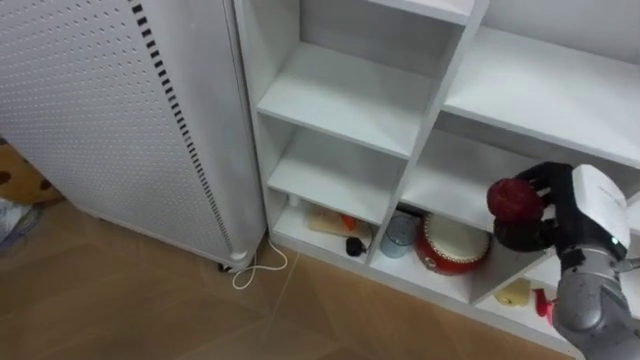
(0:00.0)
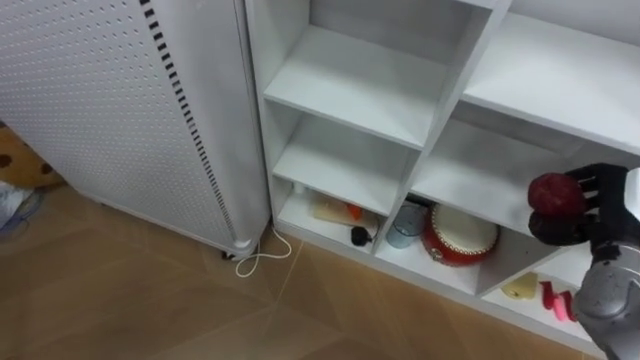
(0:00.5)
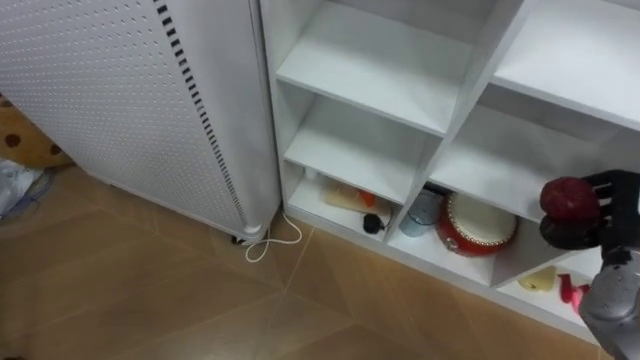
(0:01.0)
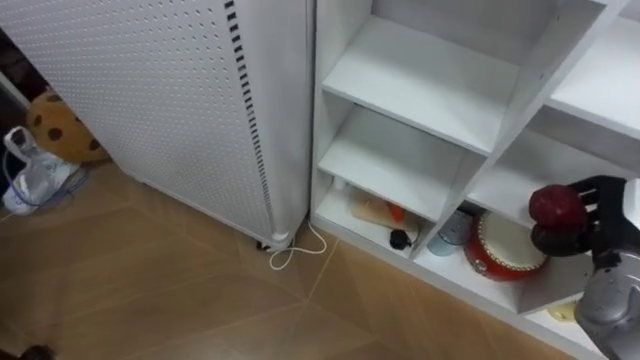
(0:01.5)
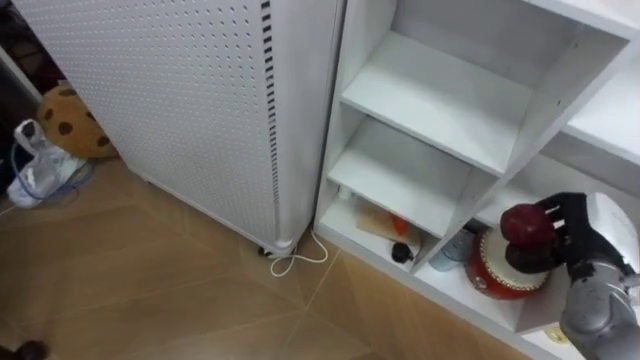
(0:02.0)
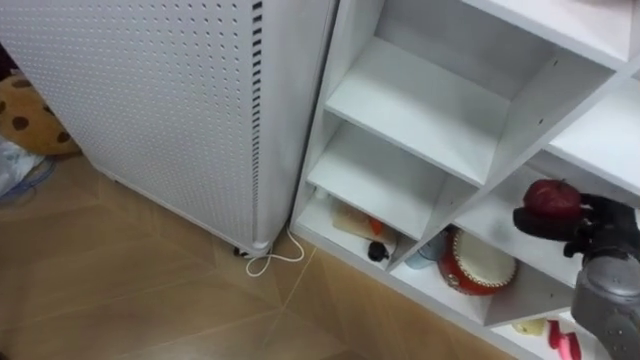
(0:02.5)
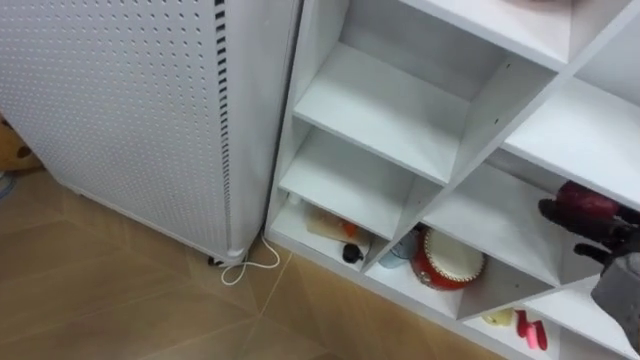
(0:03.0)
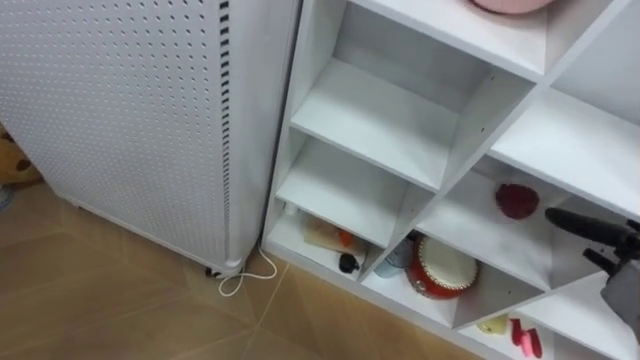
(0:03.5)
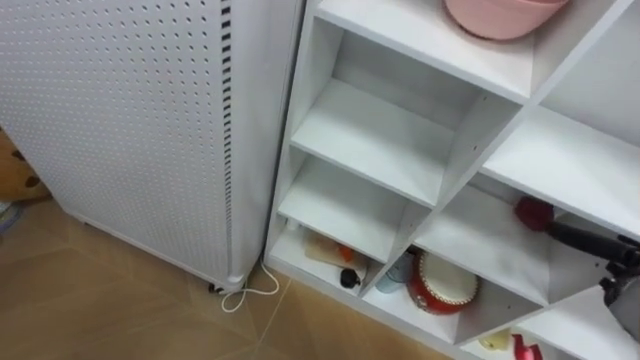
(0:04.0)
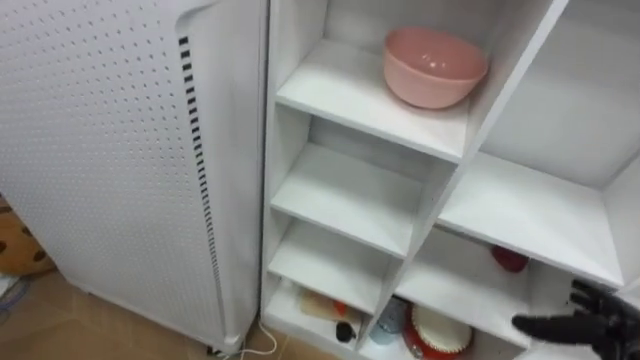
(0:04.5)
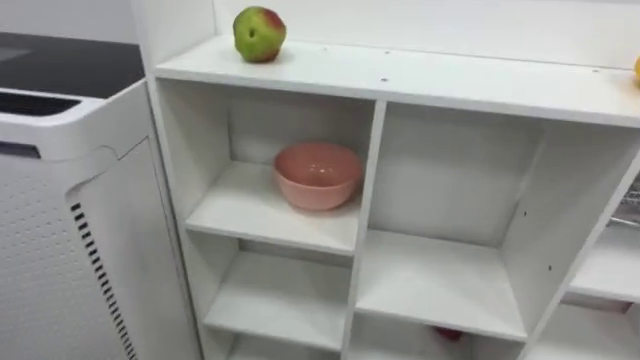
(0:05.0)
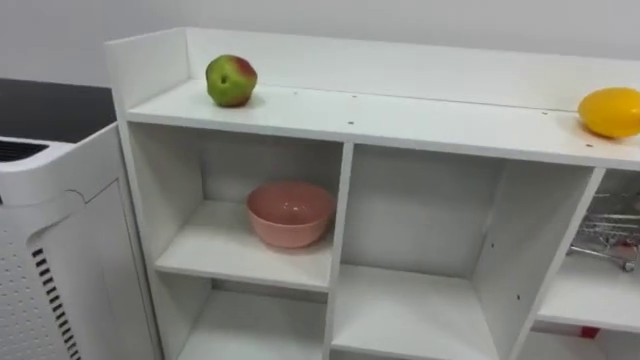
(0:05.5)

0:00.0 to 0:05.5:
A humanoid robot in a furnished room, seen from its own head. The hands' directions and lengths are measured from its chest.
Task of the whole recording: Put the apple in the cell in the second column from the left and the second row from the top.
0:02.0 to 0:03.5: The right hand shifts approximately 5 cm to the right, and opens up.

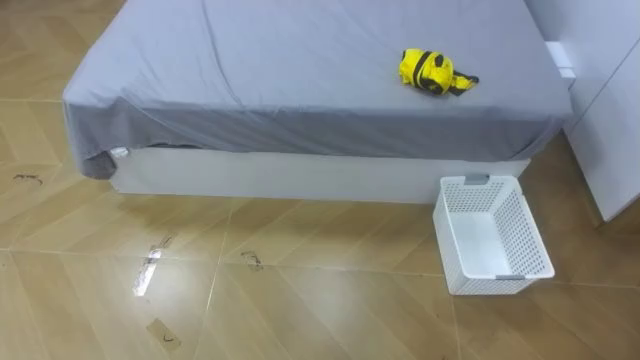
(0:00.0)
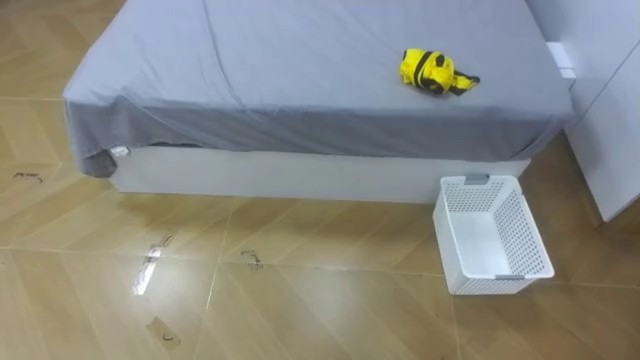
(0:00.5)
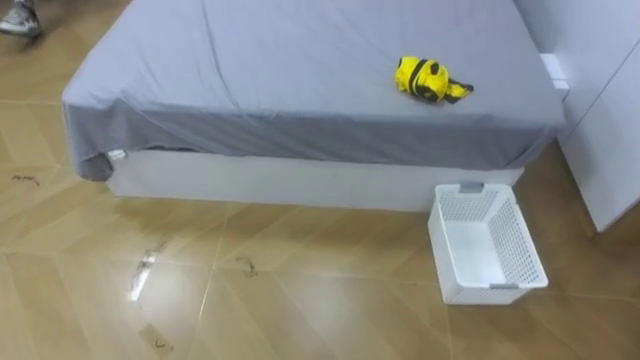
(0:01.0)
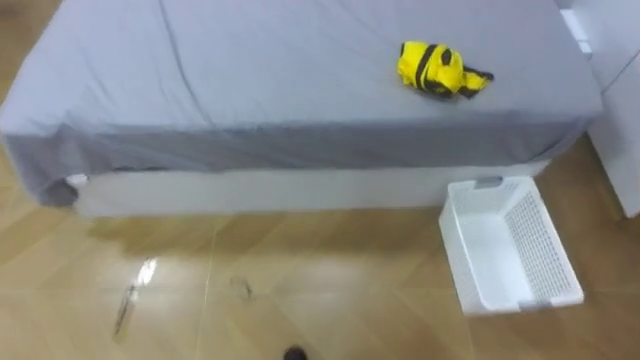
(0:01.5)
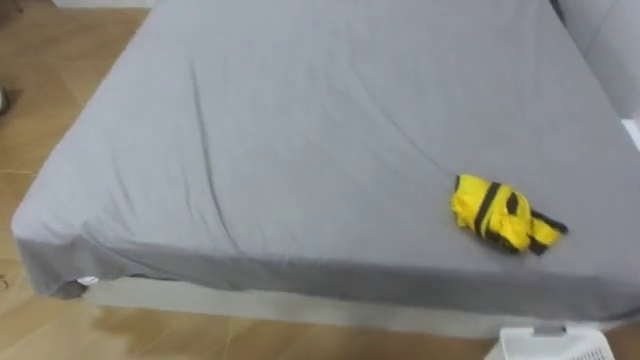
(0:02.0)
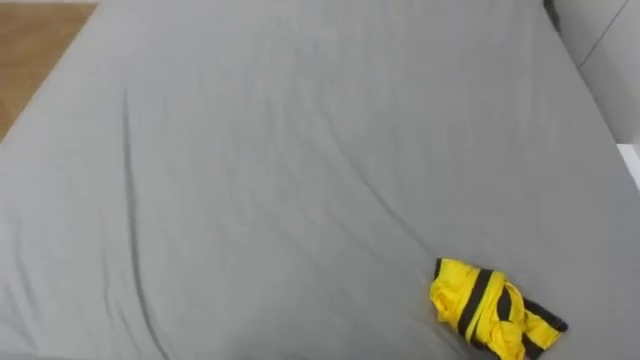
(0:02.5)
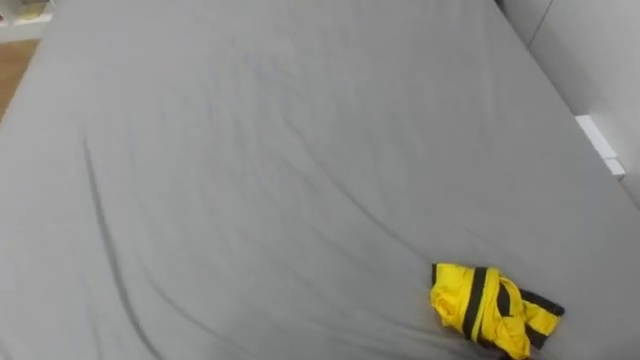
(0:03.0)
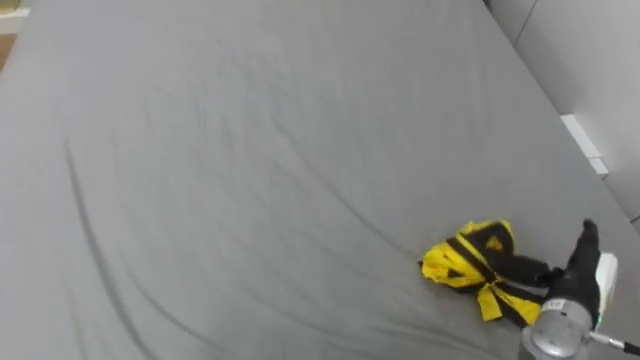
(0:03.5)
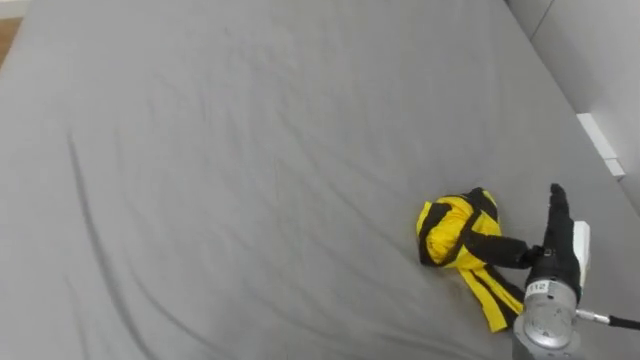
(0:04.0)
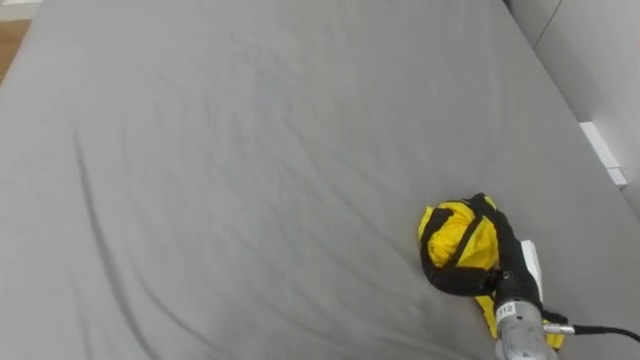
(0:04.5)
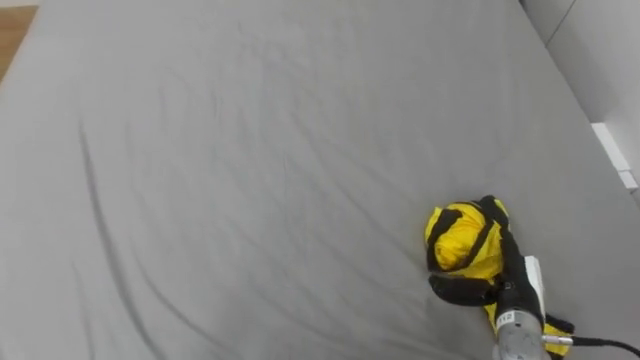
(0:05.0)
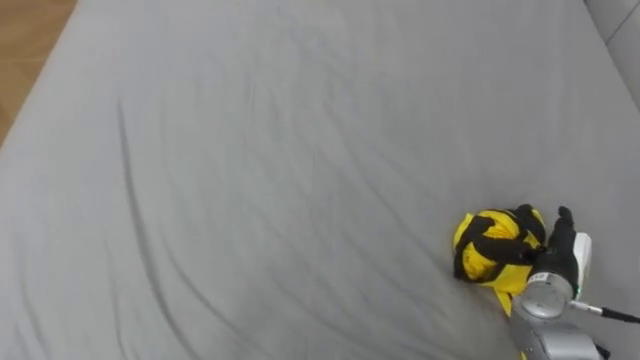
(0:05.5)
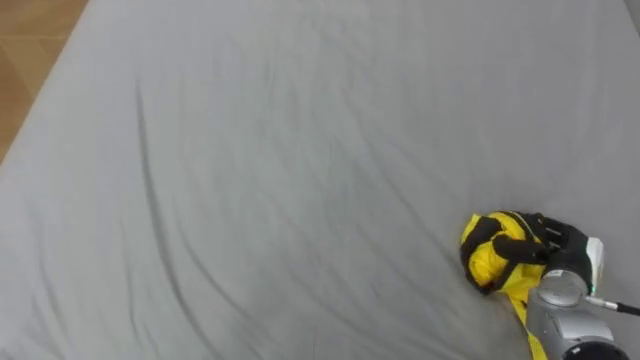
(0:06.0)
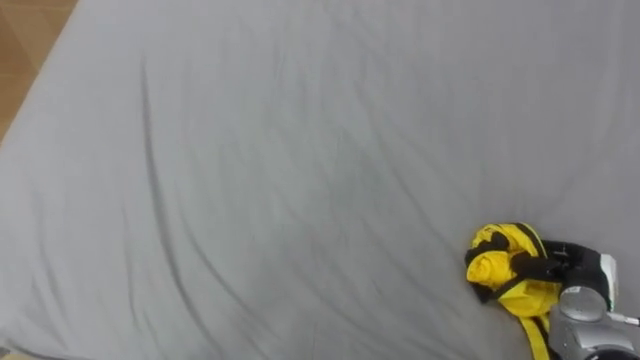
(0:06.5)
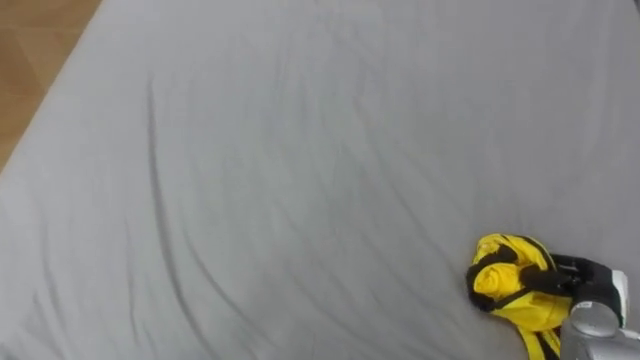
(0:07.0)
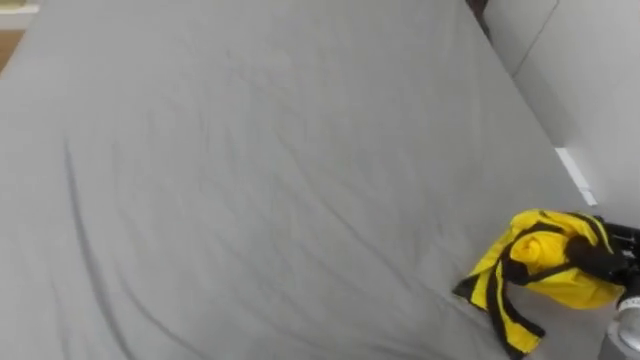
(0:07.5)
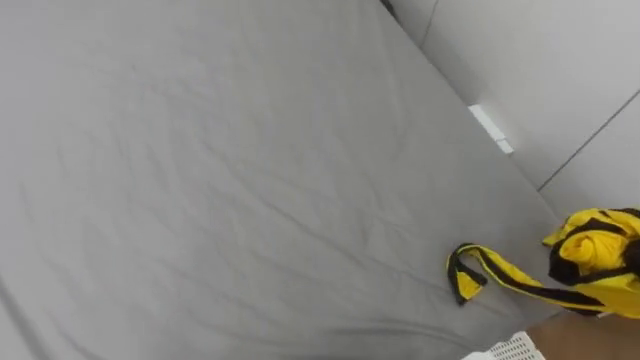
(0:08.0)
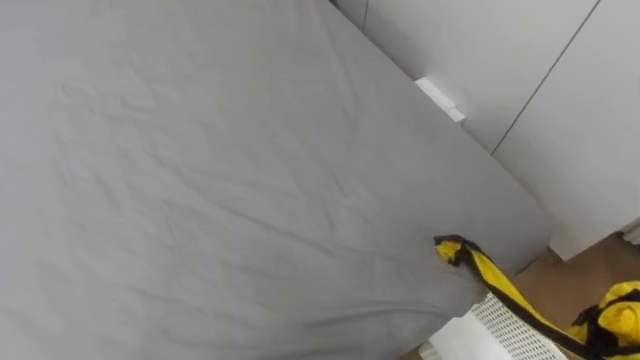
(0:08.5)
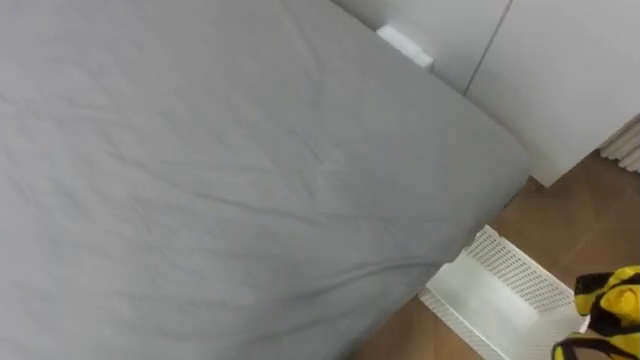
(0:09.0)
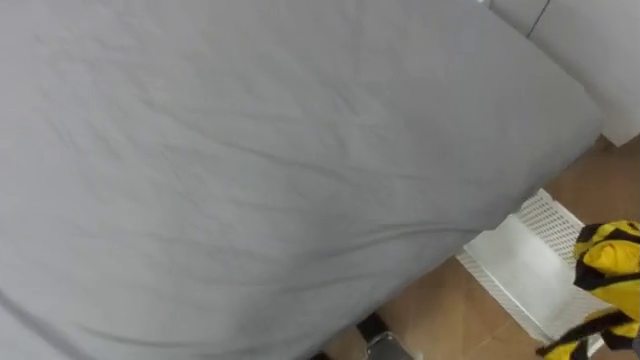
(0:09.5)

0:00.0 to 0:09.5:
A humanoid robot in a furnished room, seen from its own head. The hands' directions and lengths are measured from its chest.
Task of the whole recording: Pick up the yellow clothes on the bed and place them into the white basket on the right.
0:05.5 to 0:07.5: The right hand shifts roughly 10 cm to the right, and closes its fingers.

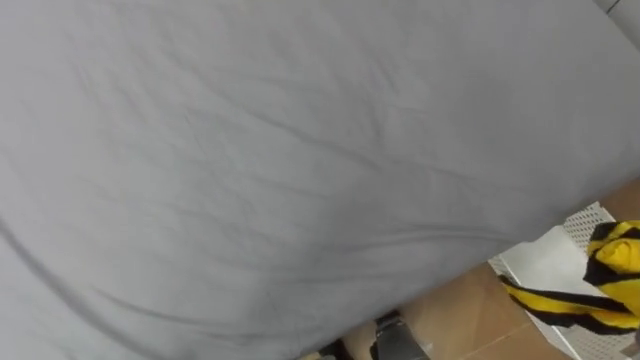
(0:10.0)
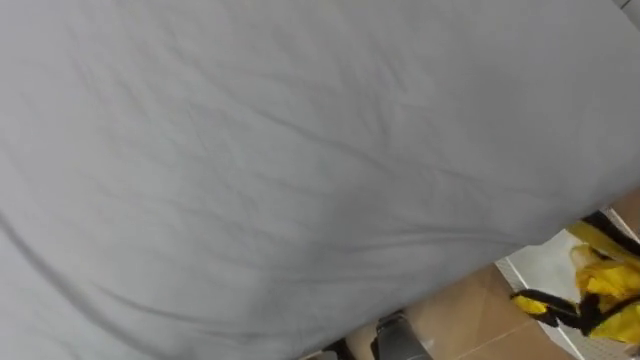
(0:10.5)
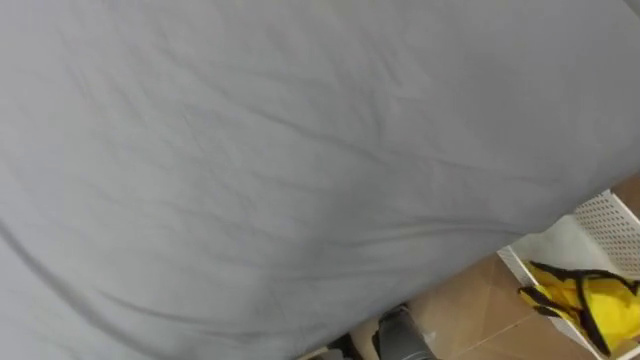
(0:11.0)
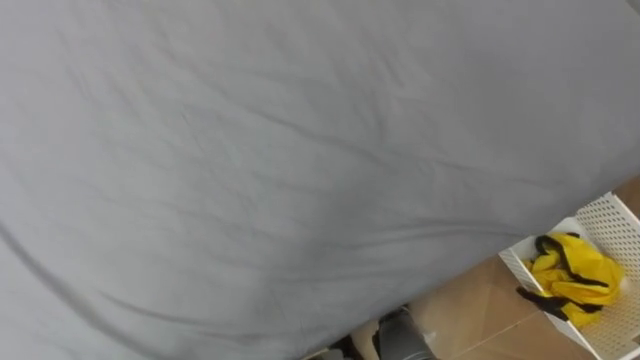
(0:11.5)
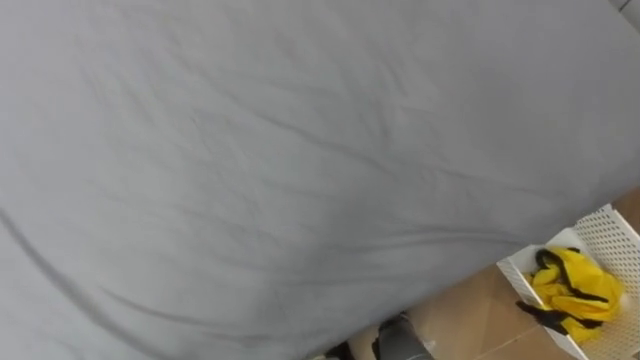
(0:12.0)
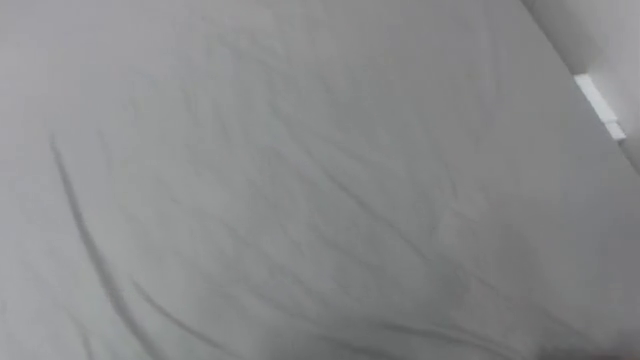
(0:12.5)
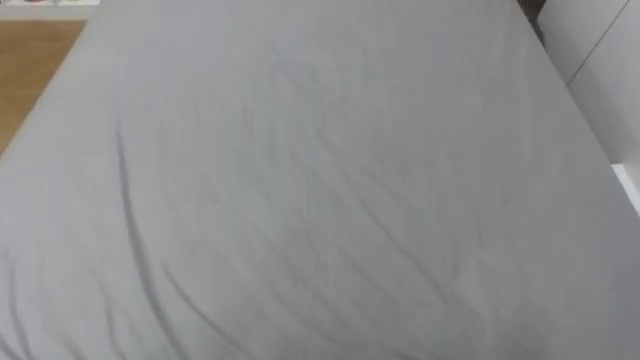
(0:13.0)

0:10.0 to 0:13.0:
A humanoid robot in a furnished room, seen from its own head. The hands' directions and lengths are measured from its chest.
Task of the whole recording: Pick up the yellow clothes on the bed and place them into the white basket on the right.
0:11.5 to 0:13.0: The robot rotates some 20 degrees to its left.

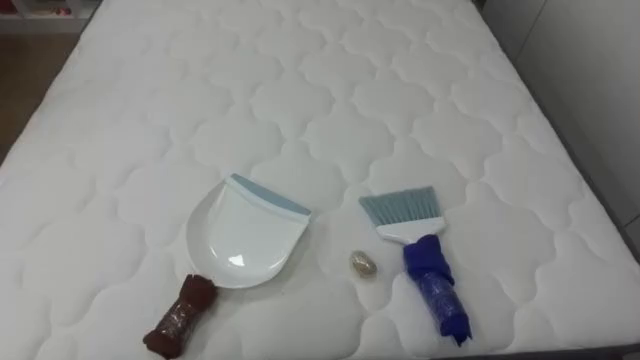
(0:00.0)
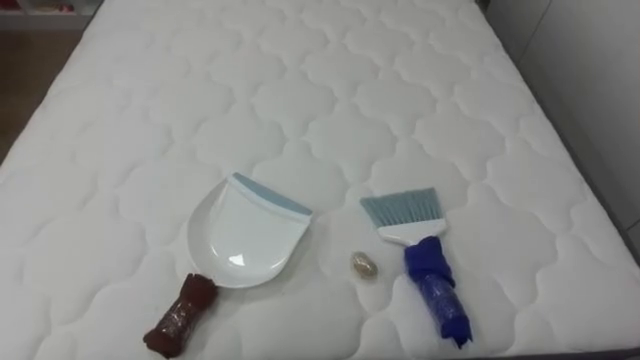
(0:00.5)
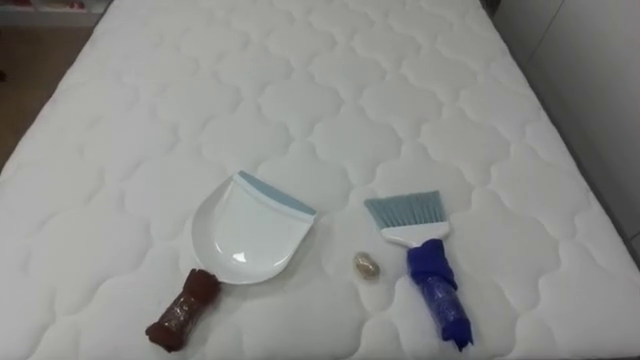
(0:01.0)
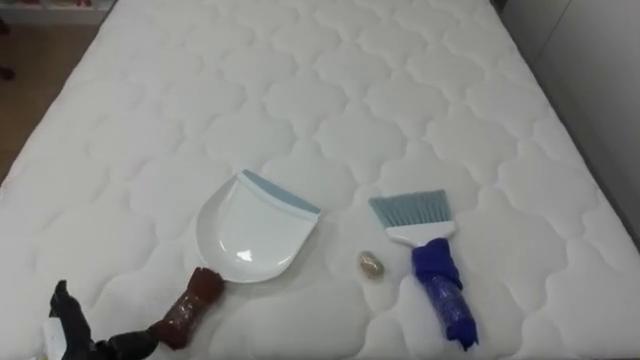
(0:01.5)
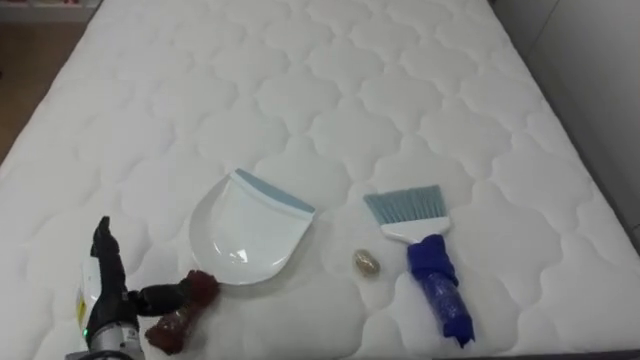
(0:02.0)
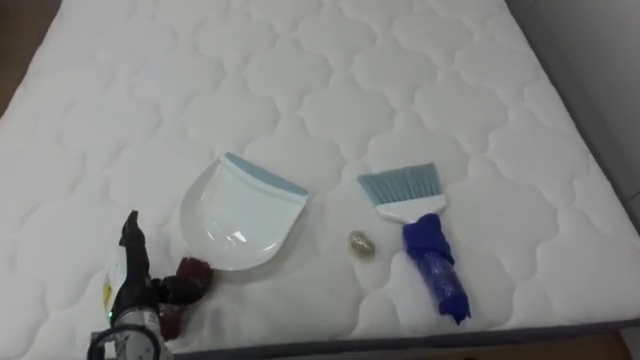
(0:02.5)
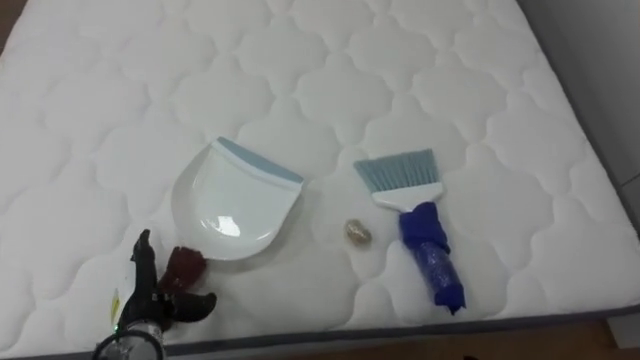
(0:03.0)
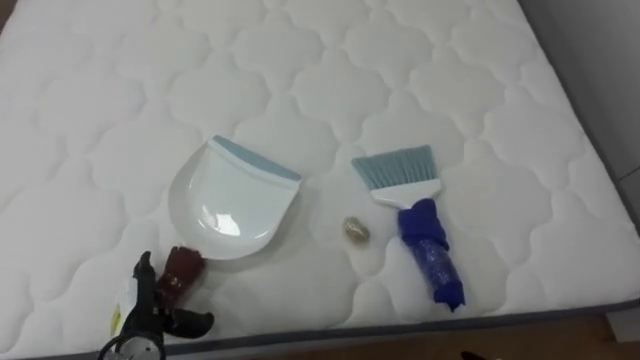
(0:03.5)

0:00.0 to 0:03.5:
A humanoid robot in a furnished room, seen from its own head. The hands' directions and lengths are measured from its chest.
Task of the whole recording: Pick up the brush on your right and the dustpan on your left. Use the brush to sweep the crumpled paper on the bed into the dustpan, then turn left and empty it into the basket.
0:02.0 to 0:03.5: The left hand is displaced downward by about 5 cm.
